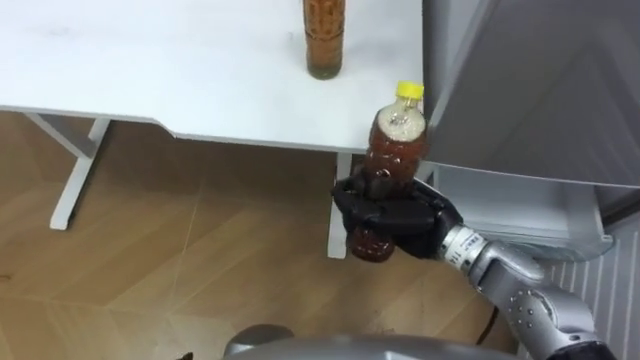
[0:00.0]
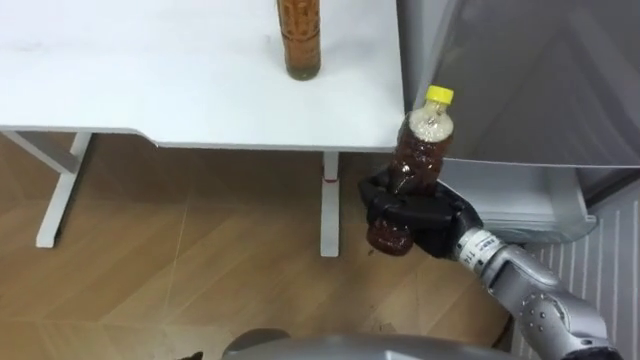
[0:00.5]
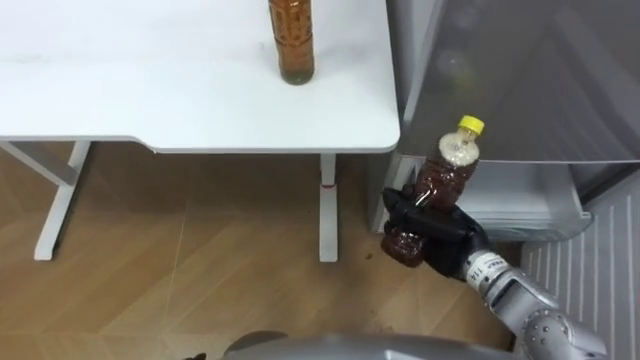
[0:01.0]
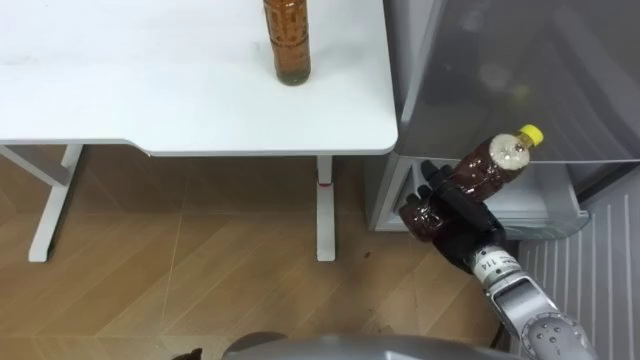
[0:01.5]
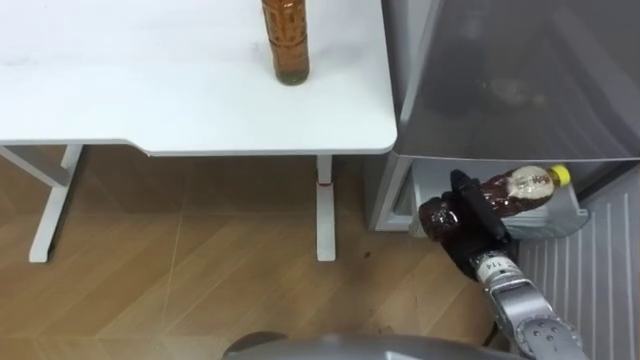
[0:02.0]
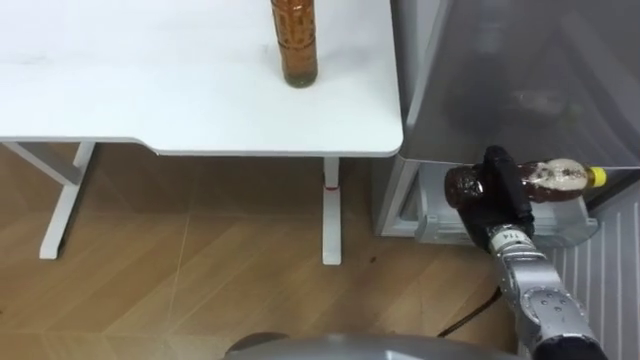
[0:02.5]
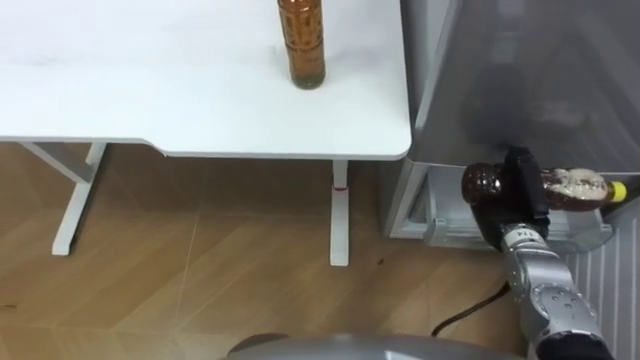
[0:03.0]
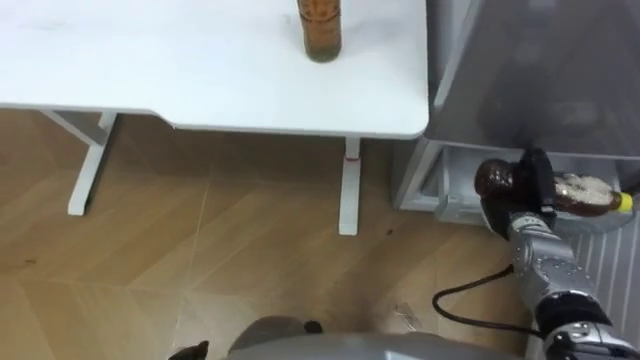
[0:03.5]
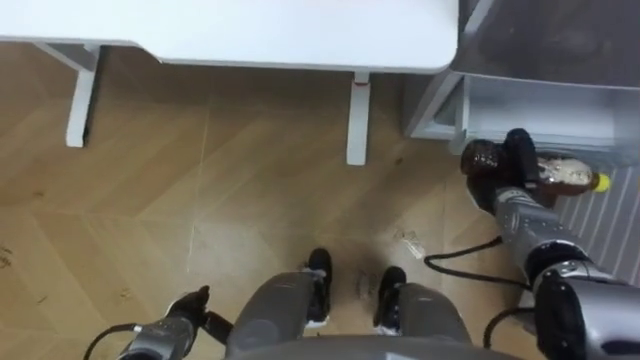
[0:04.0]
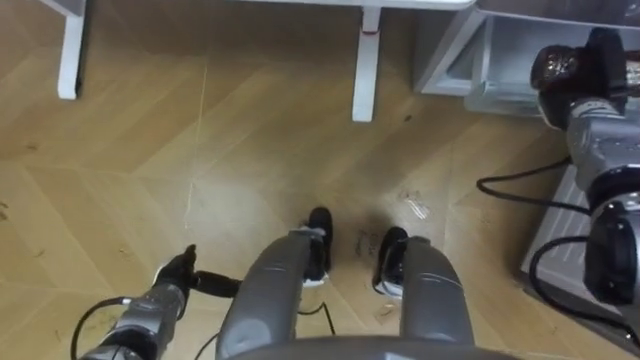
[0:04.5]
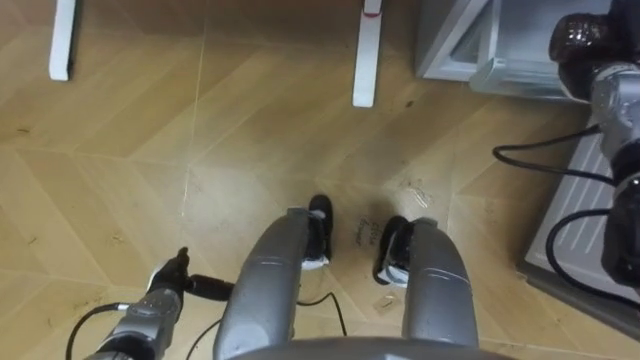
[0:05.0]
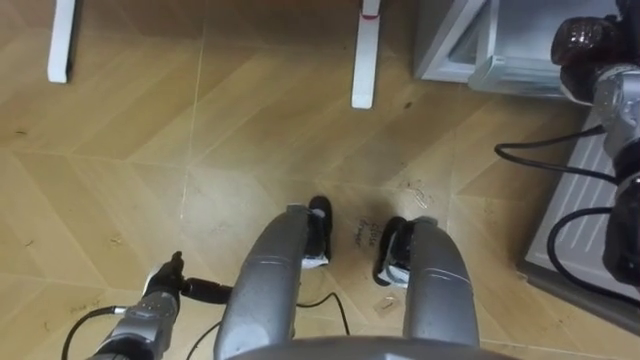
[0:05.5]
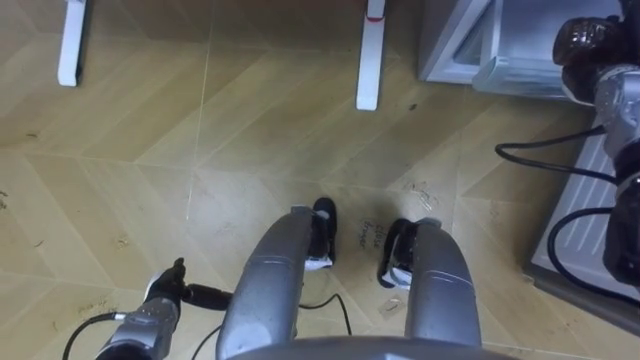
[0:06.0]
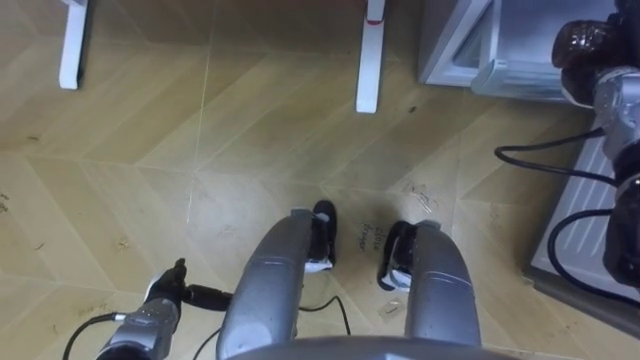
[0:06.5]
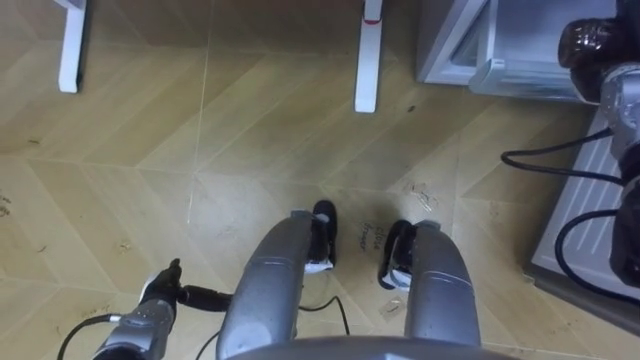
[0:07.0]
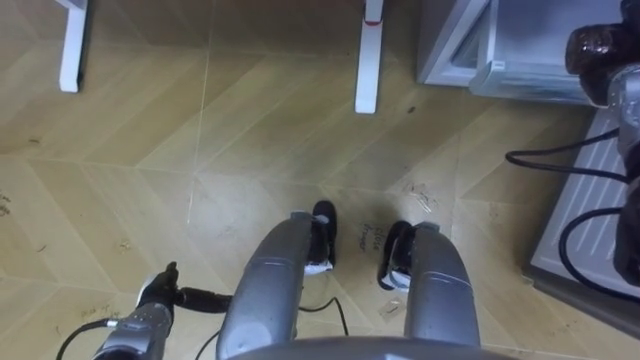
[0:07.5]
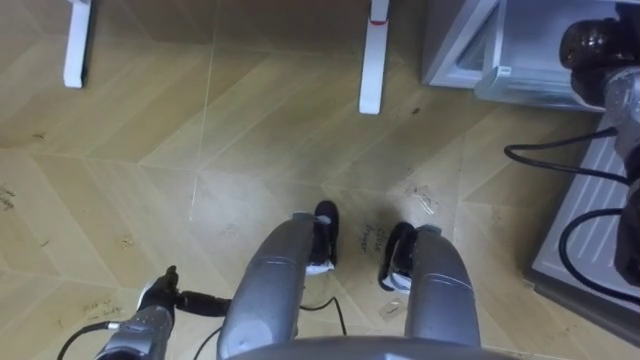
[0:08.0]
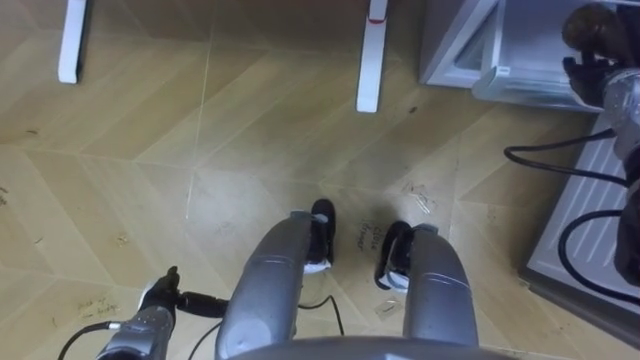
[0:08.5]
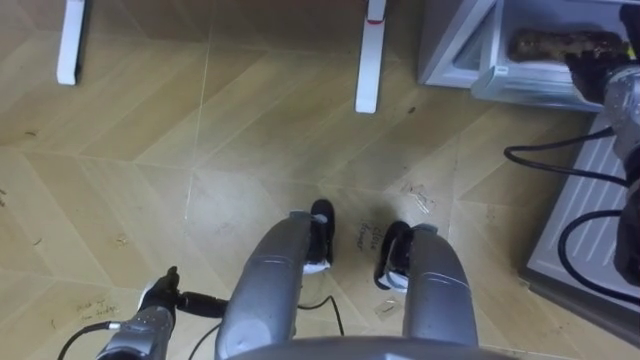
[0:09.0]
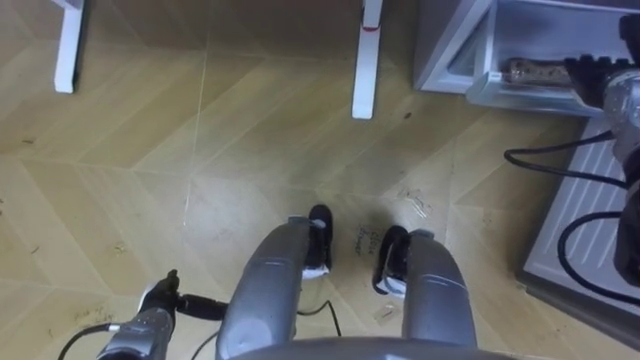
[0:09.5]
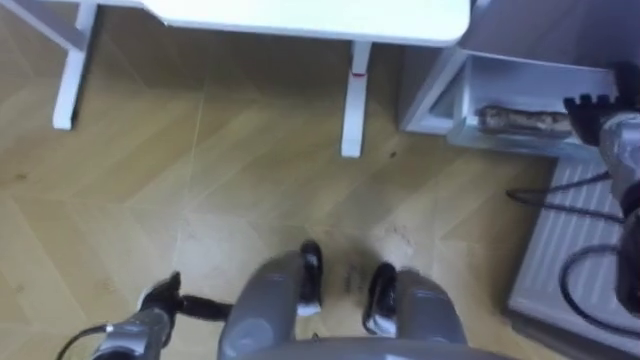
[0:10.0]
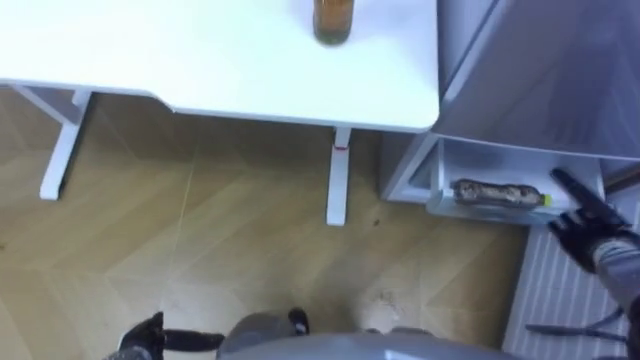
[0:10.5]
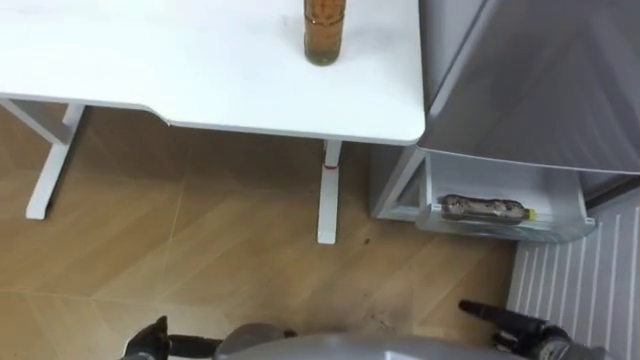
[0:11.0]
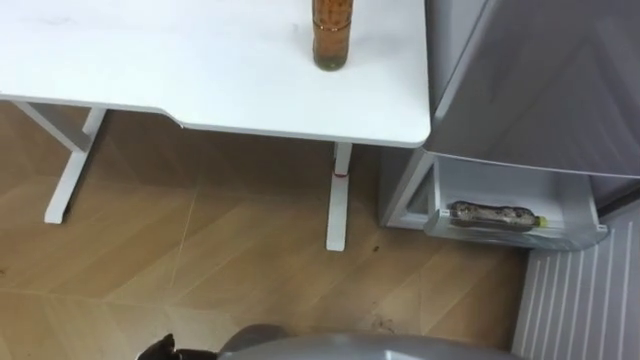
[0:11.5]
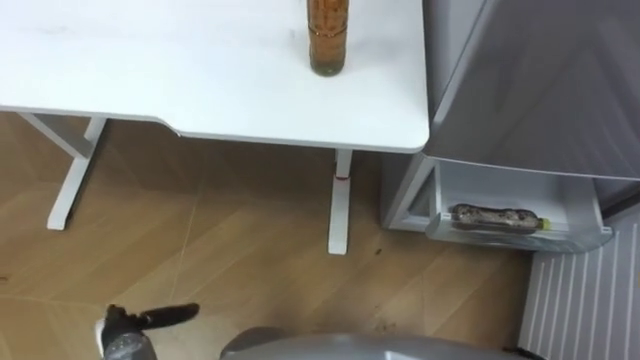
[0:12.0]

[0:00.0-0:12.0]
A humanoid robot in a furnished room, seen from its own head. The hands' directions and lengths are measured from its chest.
Task of the whole recording: Place the drink on the table on the bottom shelf of the refrigerator, then close the drawer and the refrigerator door.
0:00.0 to 0:02.0: The right hand goes some 15 cm to the right and downward.
0:02.0 to 0:04.0: The right hand travels forward by about 10 cm.
0:04.0 to 0:06.0: The right hand shifts about 20 cm upward, forward and to the right.
0:06.0 to 0:08.0: There are only small adjustments of the hands.
0:08.0 to 0:10.0: The right hand ends up about 5 cm from where it was, and opens.

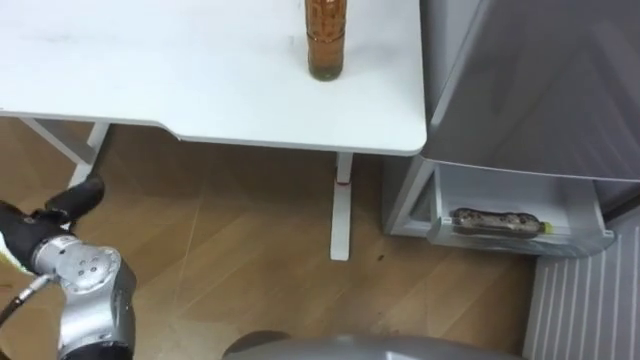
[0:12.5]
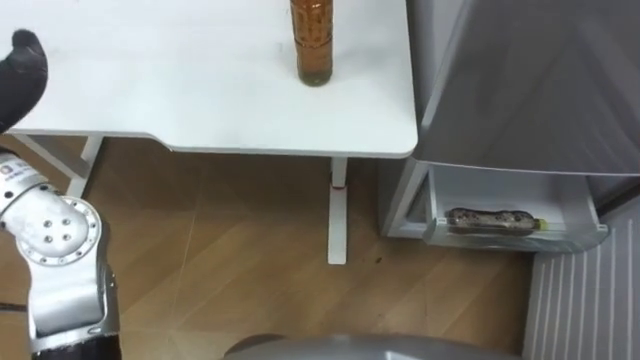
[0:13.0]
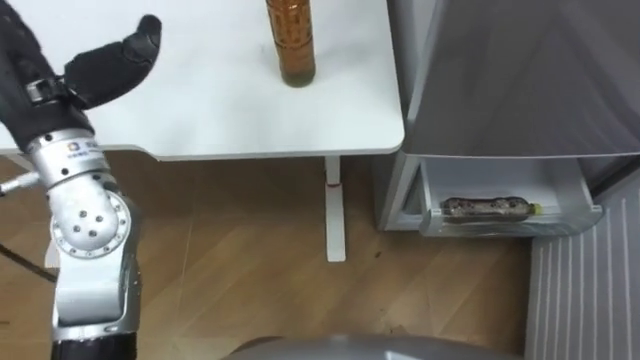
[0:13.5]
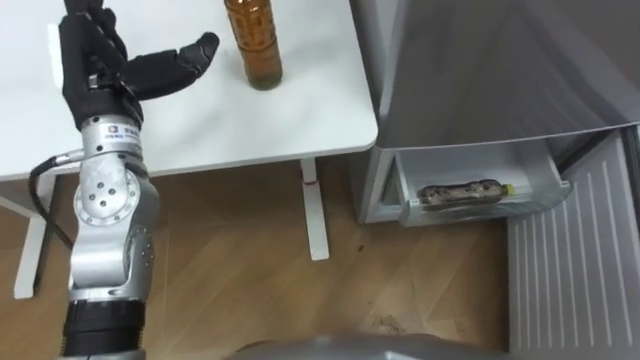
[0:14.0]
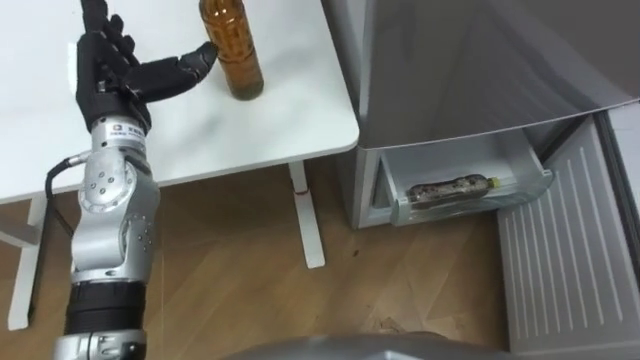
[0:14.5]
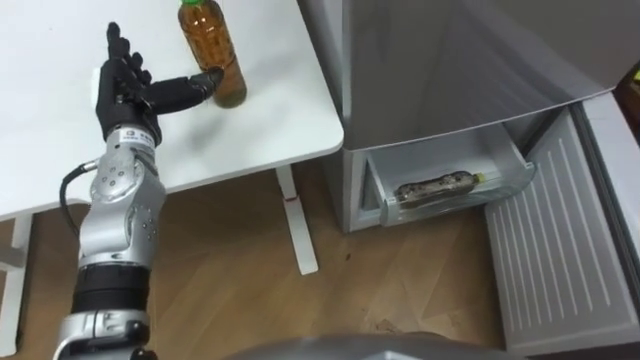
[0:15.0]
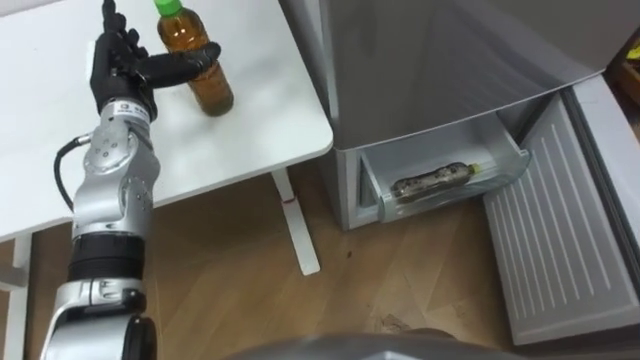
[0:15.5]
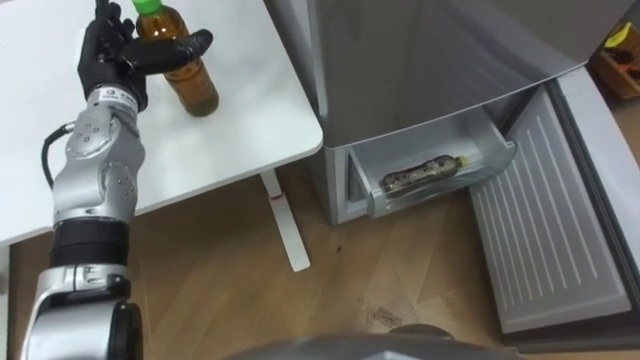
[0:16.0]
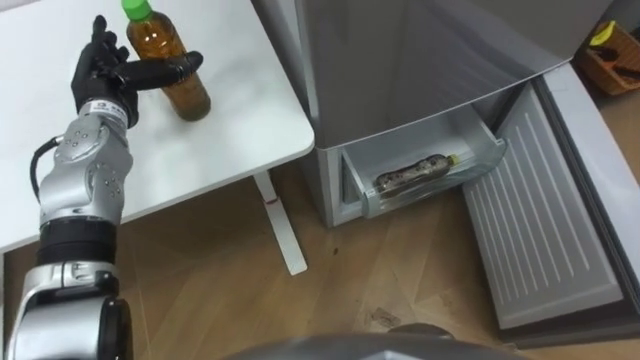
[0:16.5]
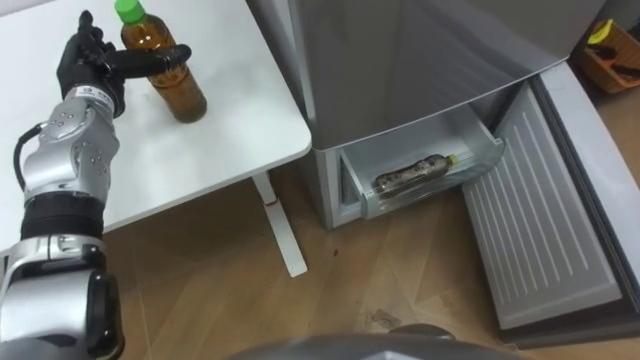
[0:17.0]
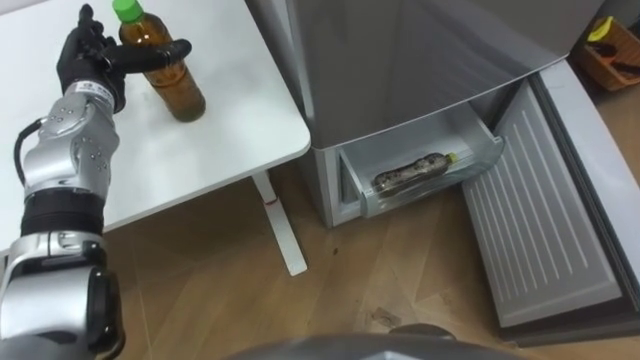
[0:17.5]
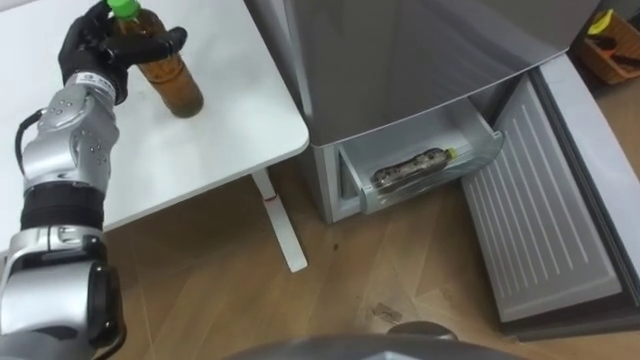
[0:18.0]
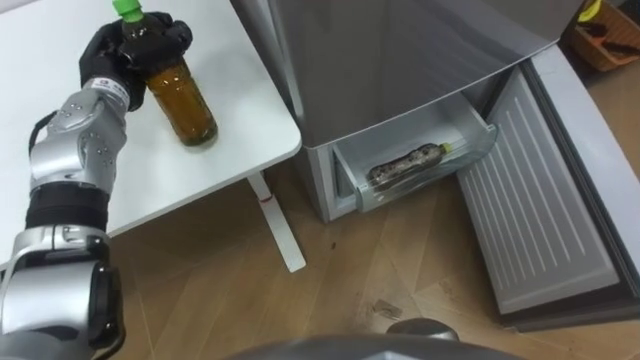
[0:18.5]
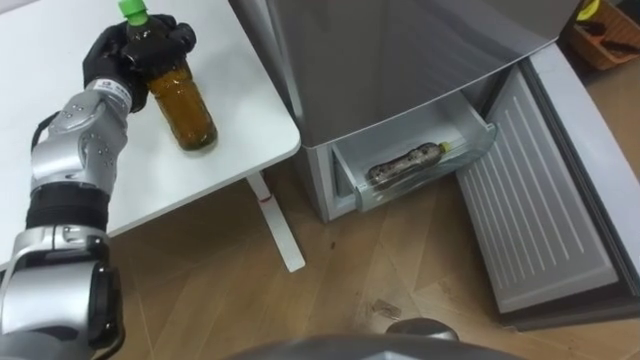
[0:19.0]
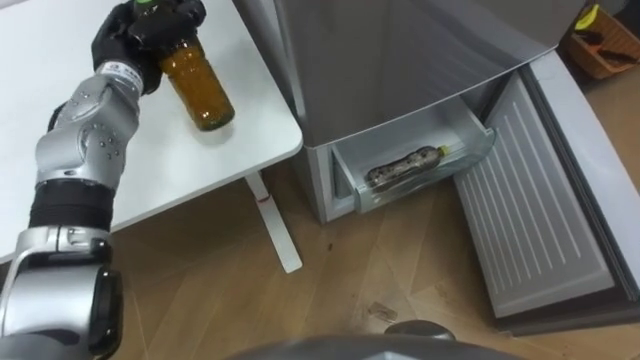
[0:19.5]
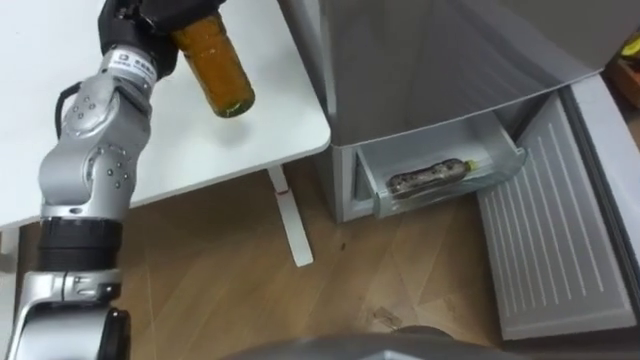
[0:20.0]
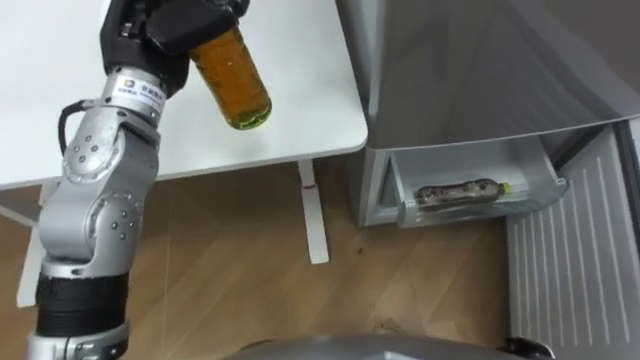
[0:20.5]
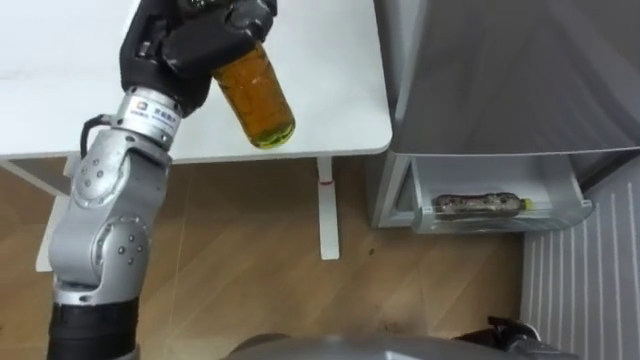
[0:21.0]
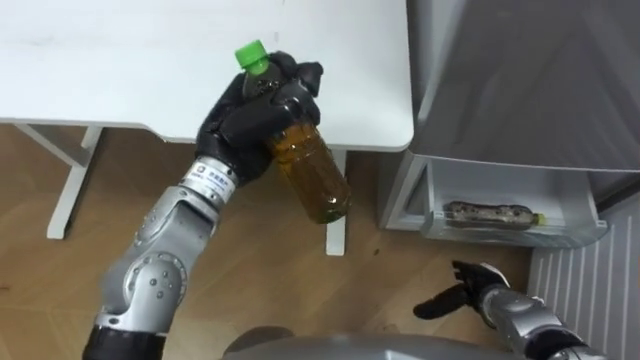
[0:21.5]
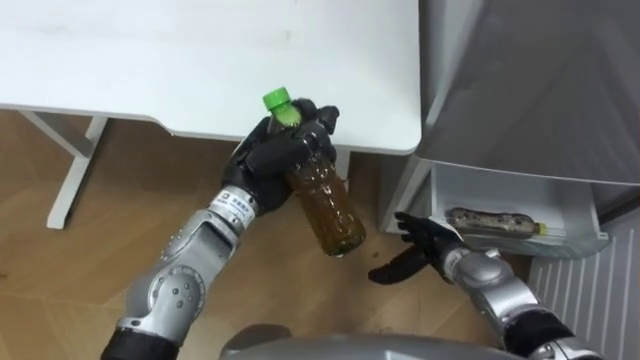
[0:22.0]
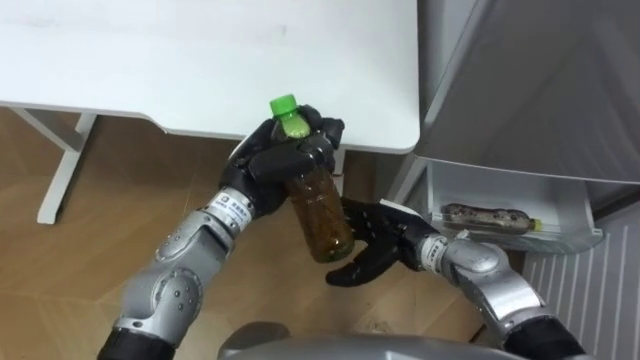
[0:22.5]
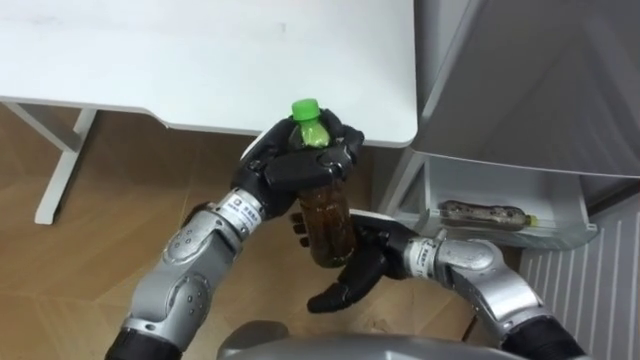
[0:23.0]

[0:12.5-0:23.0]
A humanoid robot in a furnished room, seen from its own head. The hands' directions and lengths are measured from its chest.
Task of the whole recording: Place the drink on the table on the bottom shelf of the refrigerator, then close the drawer and the refrigerator door.
0:14.5 to 0:16.5: The left hand shifts by roughly 5 cm.
0:16.5 to 0:19.0: The left hand closes.
0:19.0 to 0:21.0: The left hand goes some 15 cm upward, to the right and backward.
0:21.0 to 0:23.0: The right hand travels to the left, upward and forward by approximately 30 cm. Meanwhile the left hand moves downward and to the right, roughly 15 cm.
